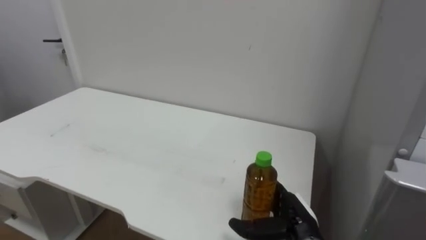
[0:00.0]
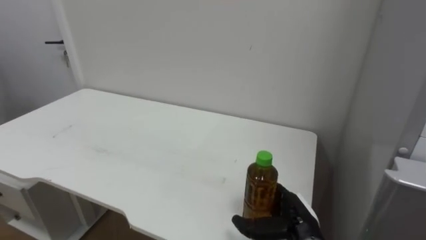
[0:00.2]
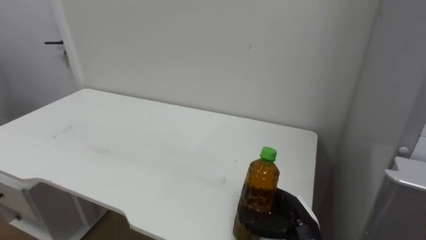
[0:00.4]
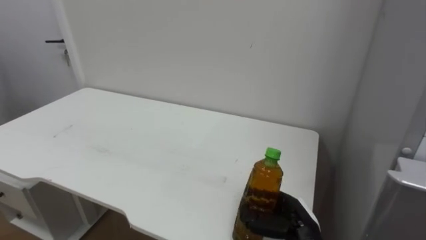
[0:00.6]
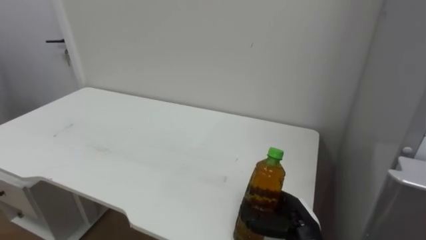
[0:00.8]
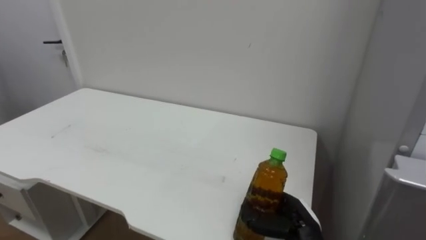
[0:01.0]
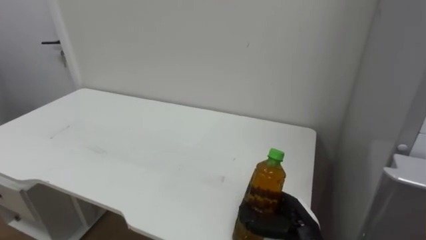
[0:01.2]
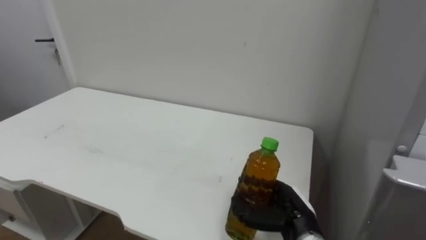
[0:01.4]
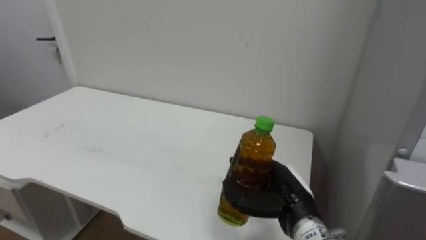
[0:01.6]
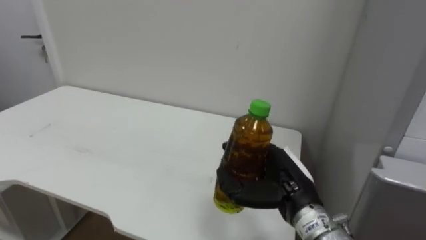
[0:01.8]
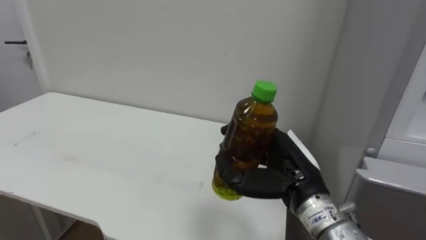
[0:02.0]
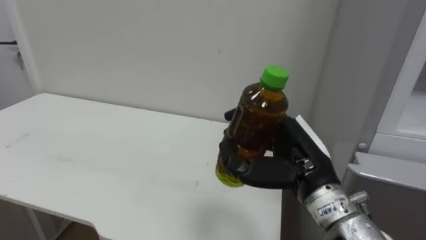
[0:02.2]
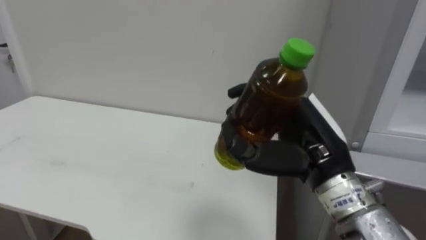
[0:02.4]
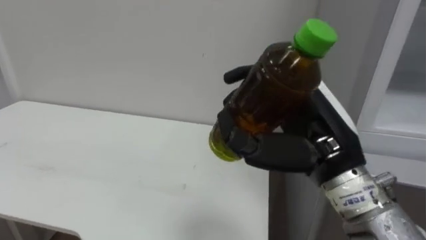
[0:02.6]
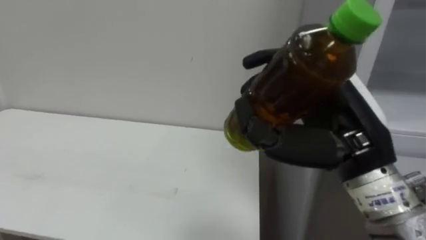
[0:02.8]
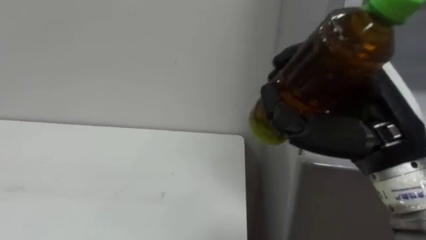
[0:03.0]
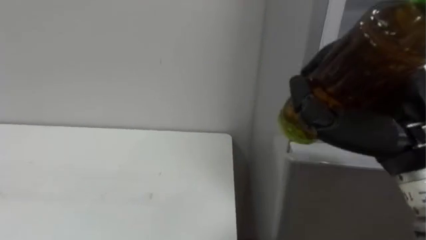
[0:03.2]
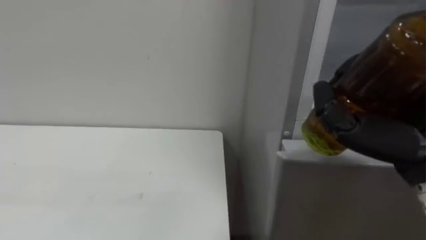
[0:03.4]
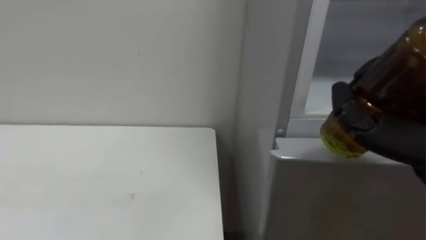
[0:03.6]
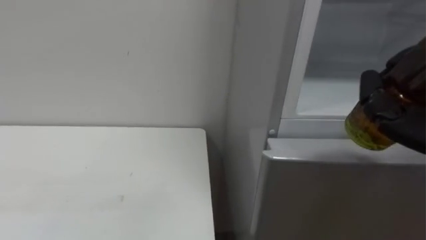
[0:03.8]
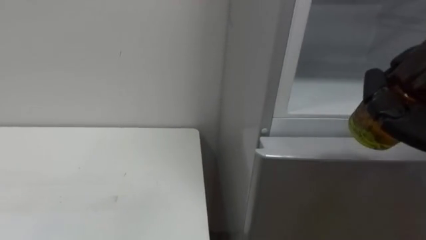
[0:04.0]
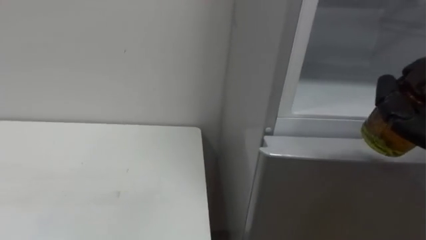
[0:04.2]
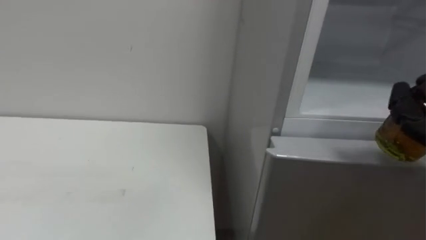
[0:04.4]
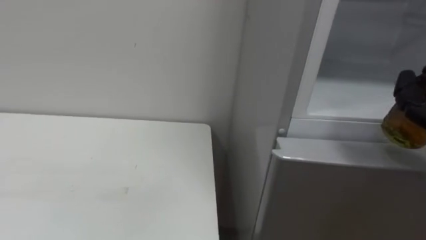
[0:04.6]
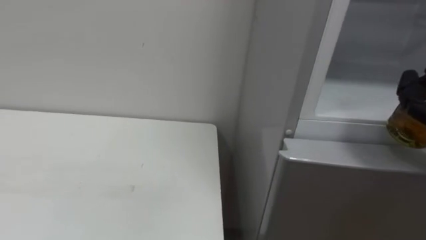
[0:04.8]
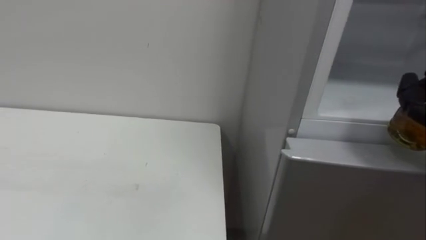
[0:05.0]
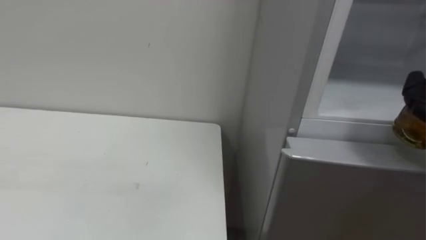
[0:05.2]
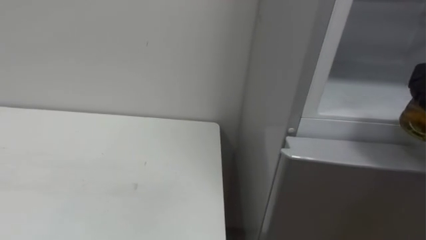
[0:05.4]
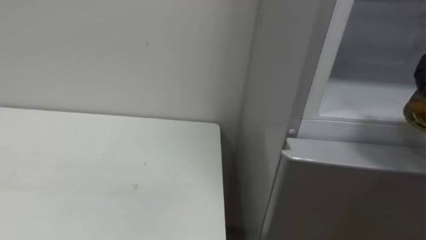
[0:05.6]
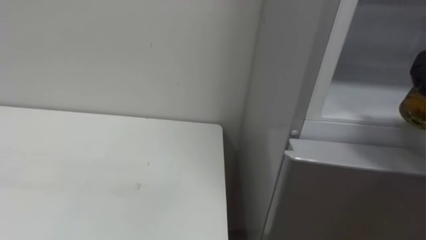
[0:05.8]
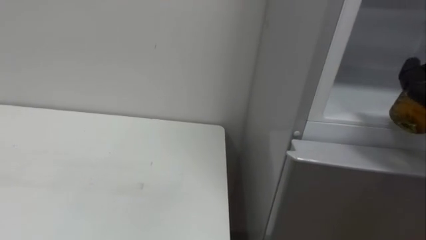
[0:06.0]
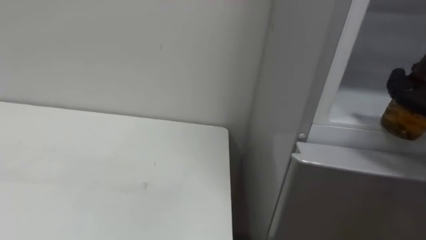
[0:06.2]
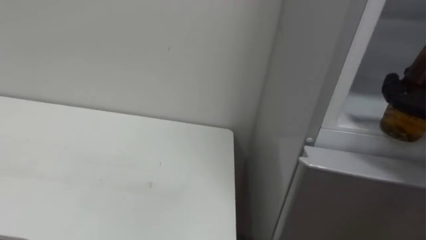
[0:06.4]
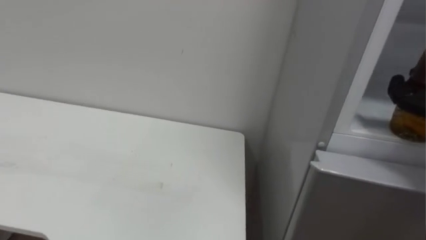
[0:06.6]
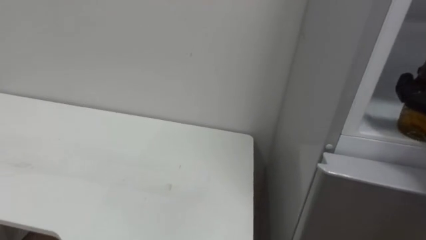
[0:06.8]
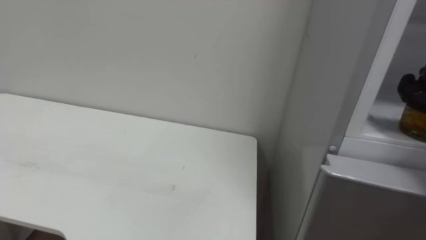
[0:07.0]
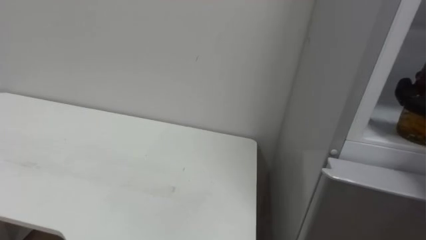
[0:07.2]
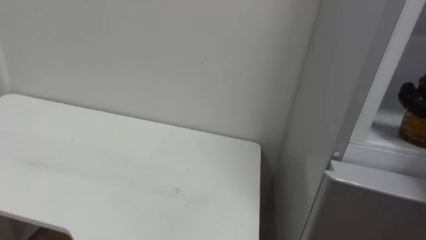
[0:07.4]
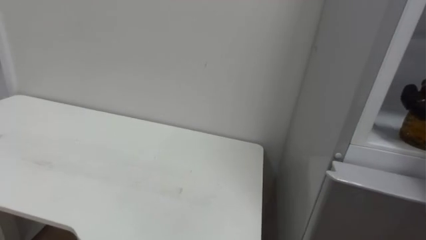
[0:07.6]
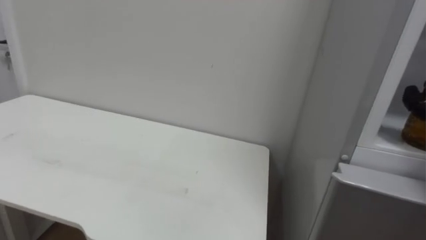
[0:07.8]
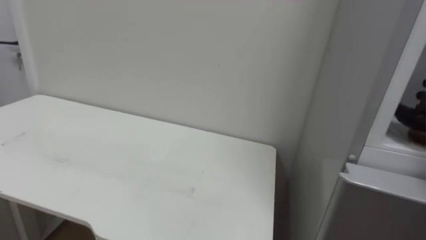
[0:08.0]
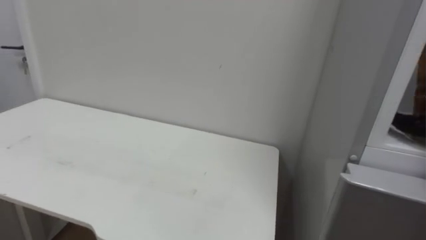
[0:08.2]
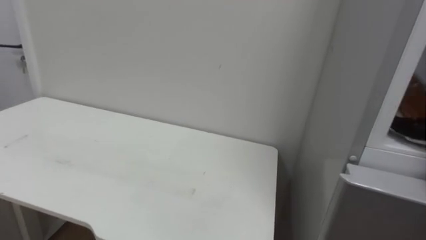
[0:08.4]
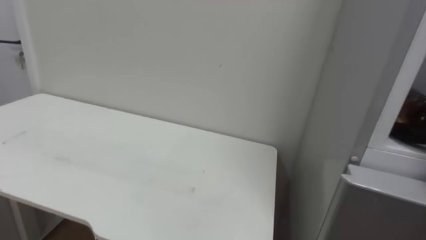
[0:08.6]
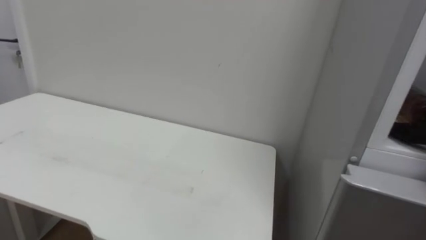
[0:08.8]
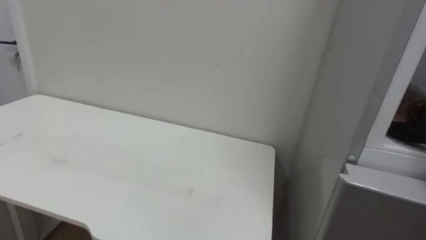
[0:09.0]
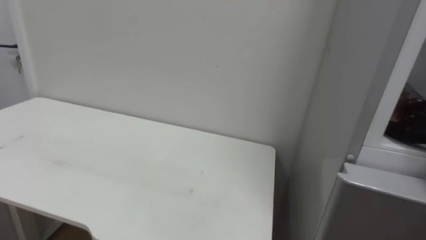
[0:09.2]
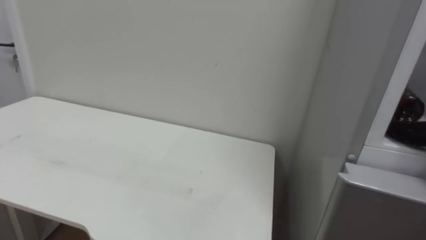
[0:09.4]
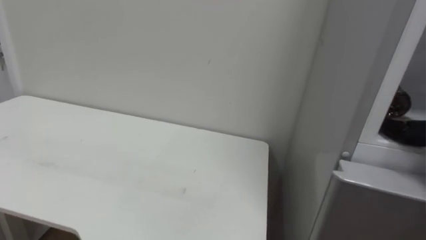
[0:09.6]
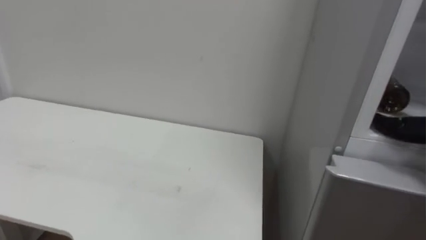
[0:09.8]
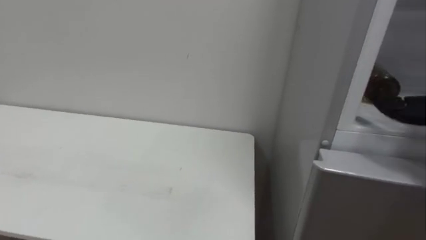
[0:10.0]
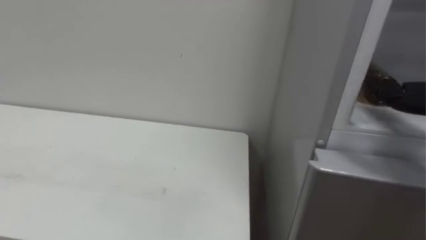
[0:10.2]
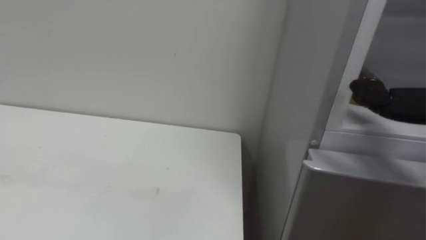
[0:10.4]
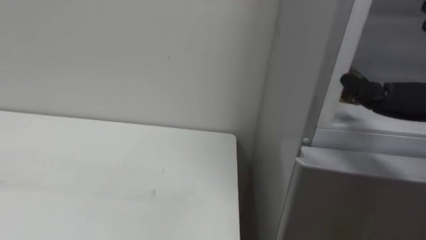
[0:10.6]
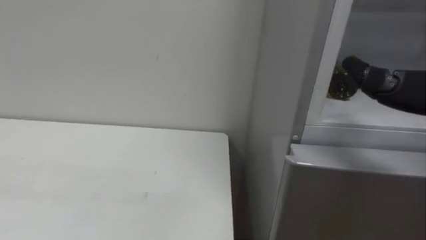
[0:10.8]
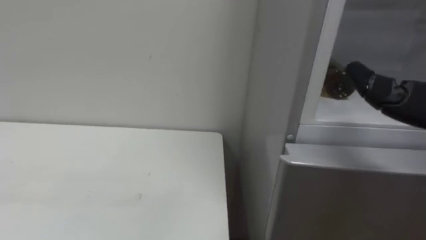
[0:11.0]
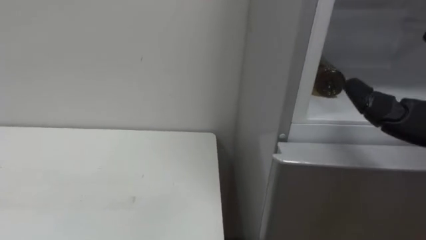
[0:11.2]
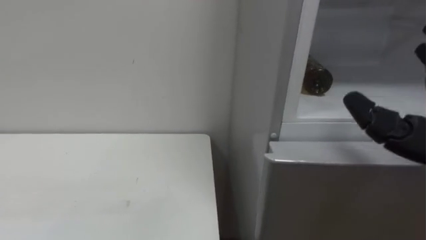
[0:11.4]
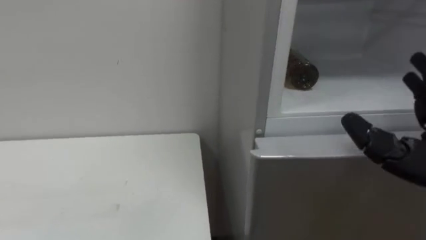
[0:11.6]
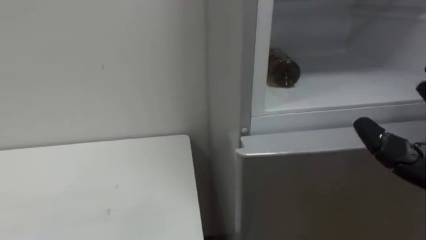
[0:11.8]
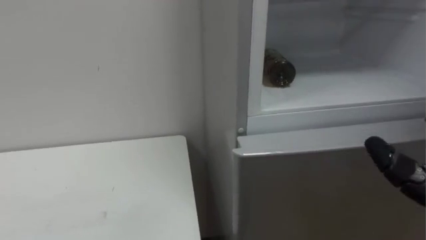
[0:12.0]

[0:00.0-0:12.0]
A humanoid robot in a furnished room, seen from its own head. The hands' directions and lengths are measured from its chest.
Task of the whole recording: Open the upper refrigerator door, put the drink from the table into the refrigerator, and then close the refrigerator door.
0.0 to 1.6 s: The right hand heads upward, covering roughly 5 cm, and closes.
1.6 to 3.0 s: The right hand heads upward, covering roughly 20 cm.

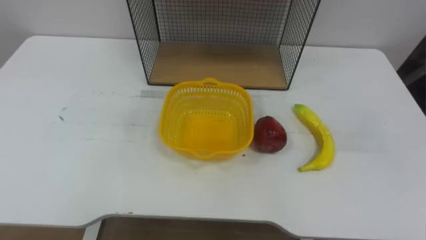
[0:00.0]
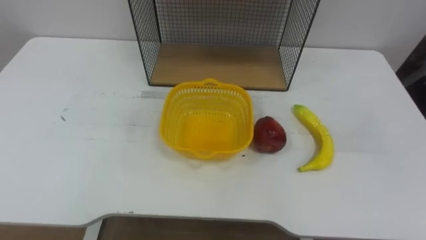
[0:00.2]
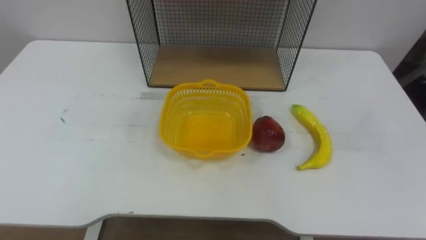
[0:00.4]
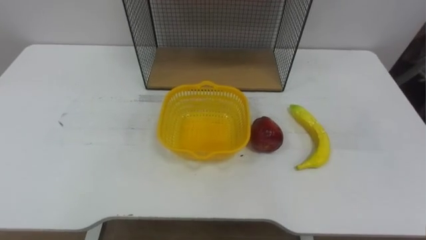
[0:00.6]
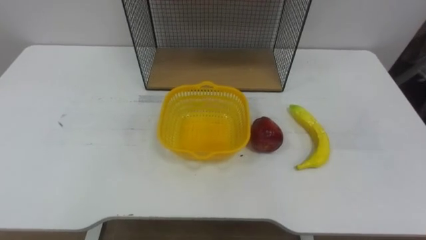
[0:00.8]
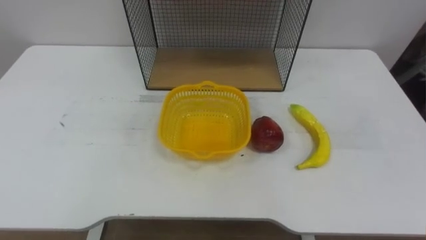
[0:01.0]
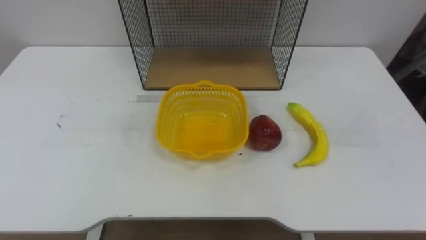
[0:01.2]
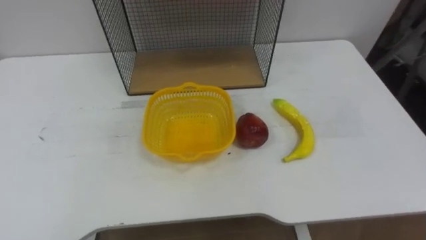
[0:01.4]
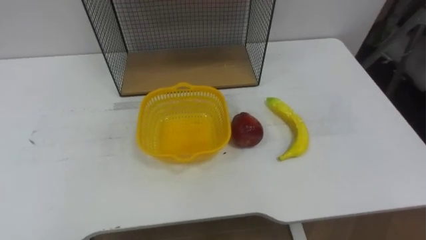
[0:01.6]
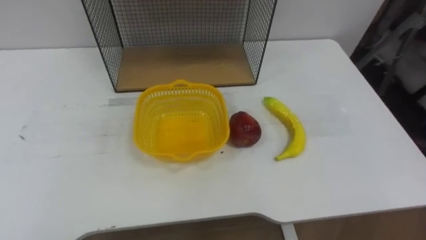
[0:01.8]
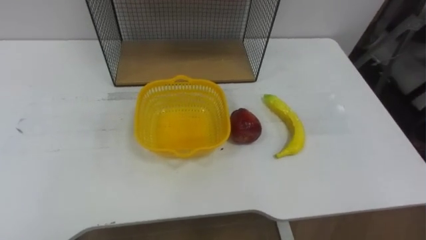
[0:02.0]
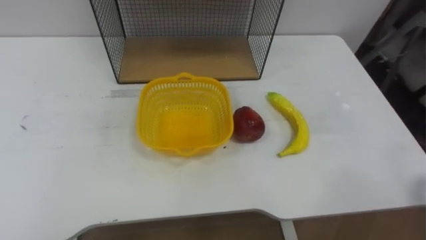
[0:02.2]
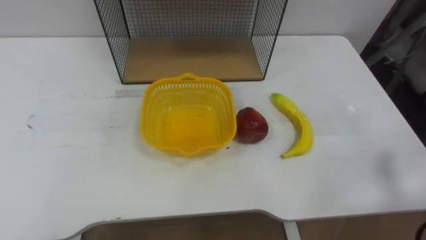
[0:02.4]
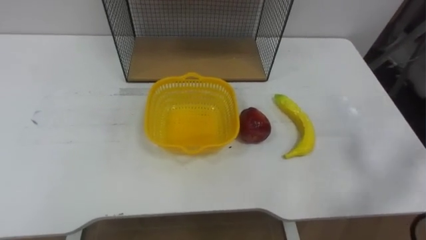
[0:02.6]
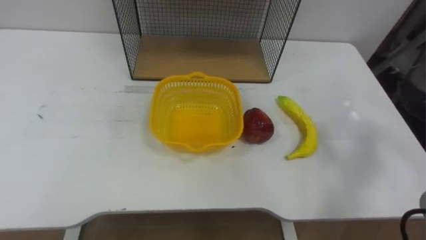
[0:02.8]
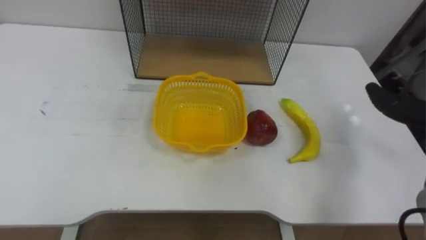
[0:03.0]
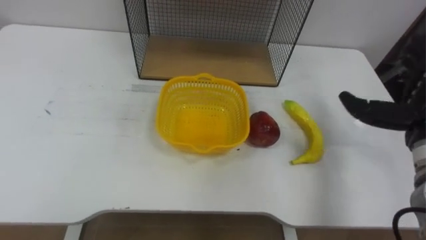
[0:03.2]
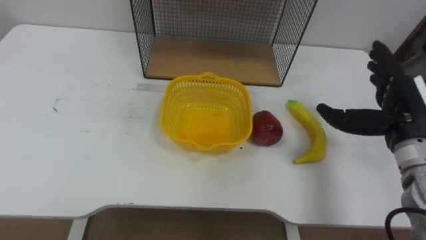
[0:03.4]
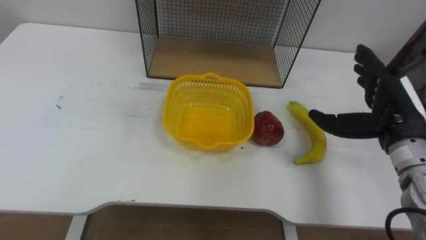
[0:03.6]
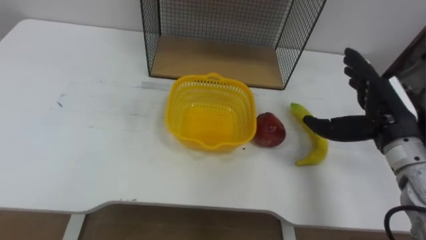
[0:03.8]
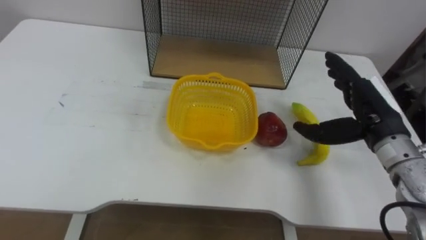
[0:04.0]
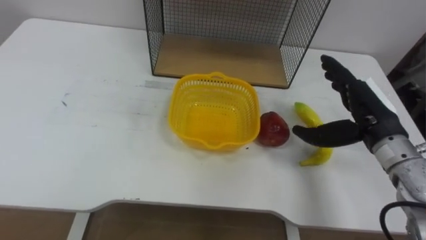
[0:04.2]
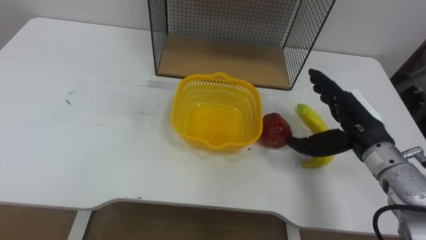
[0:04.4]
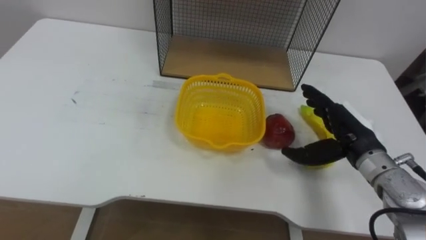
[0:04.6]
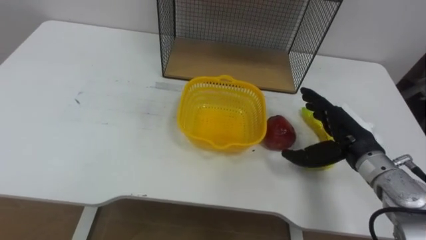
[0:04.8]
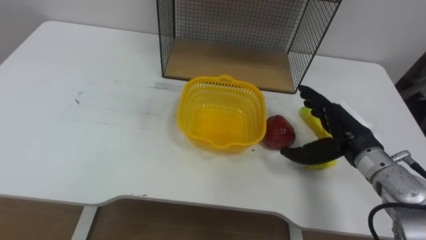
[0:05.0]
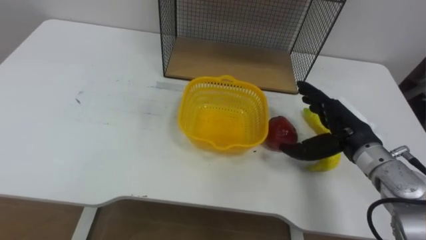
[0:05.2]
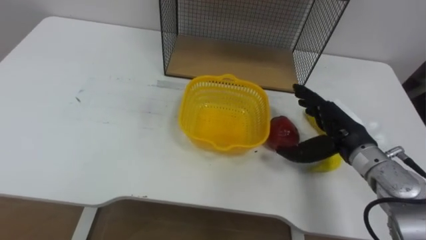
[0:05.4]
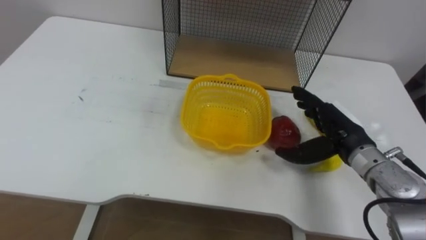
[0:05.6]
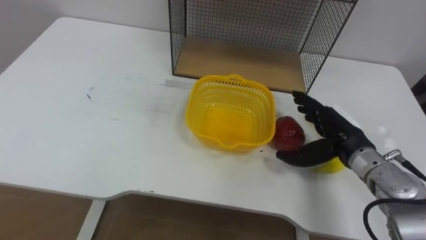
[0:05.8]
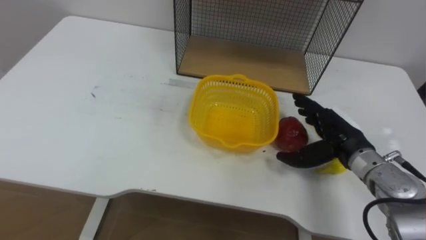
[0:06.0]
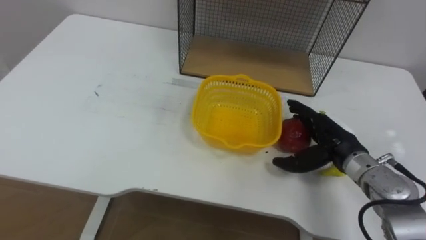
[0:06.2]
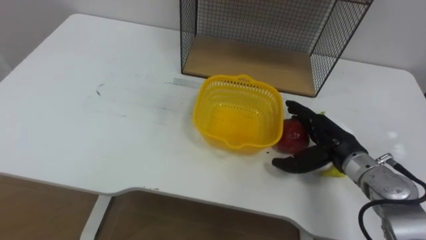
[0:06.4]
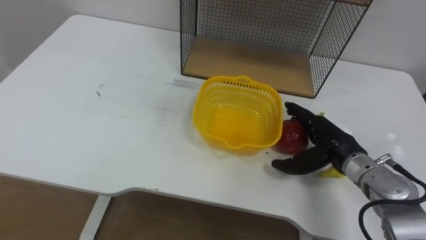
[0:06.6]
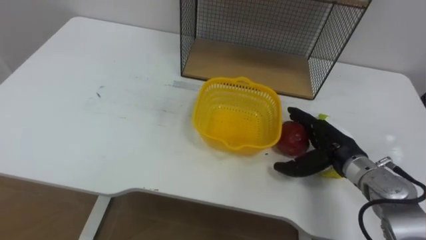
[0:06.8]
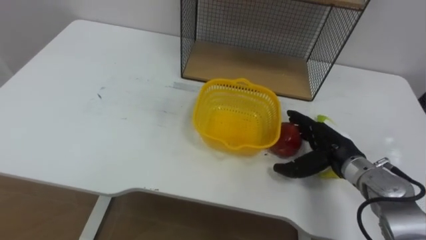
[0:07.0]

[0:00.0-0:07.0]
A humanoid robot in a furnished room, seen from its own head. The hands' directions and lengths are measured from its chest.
Task of the whole recording: Put the fruit on the table into the basket, then place the basket on the shelf.
4.2 to 5.6 s: The right hand goes approximately 5 cm downward.
5.6 to 7.0 s: The right hand shifts by about 5 cm.
